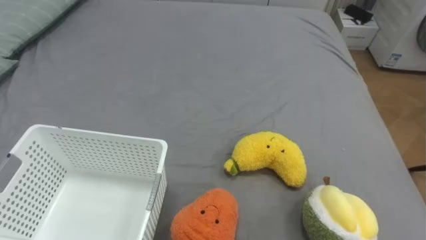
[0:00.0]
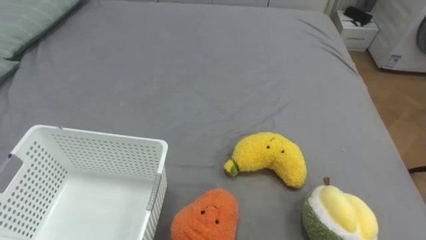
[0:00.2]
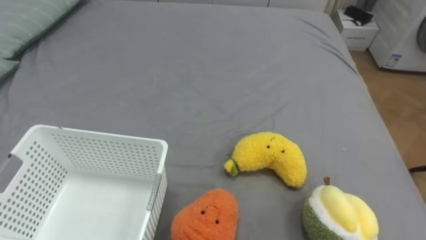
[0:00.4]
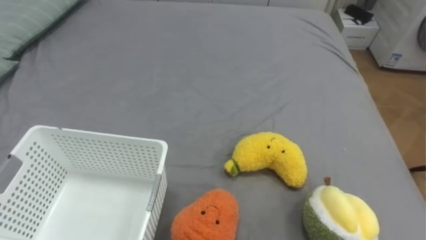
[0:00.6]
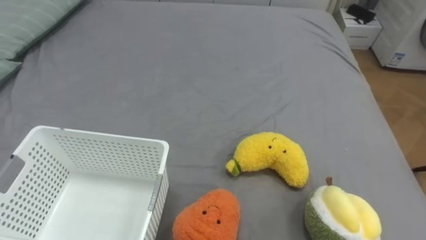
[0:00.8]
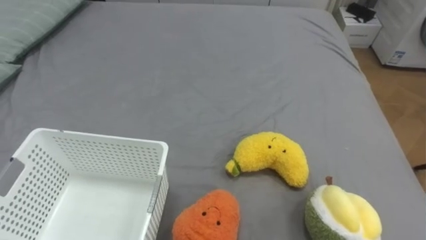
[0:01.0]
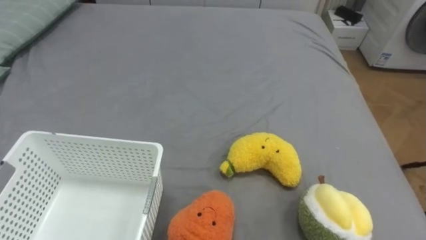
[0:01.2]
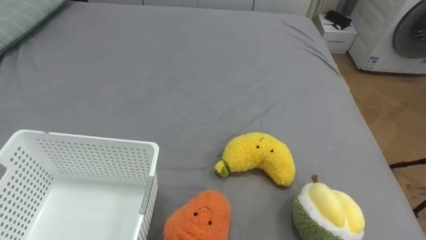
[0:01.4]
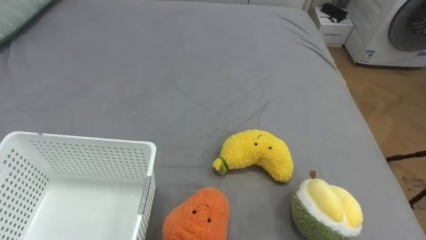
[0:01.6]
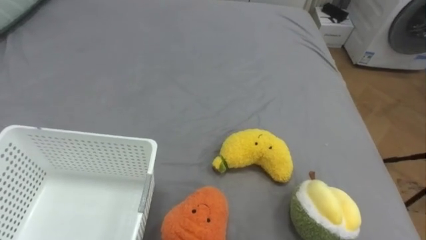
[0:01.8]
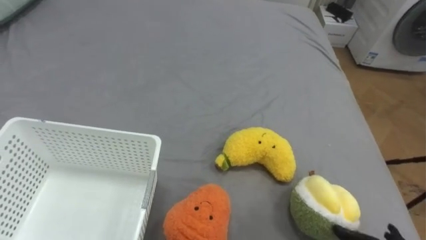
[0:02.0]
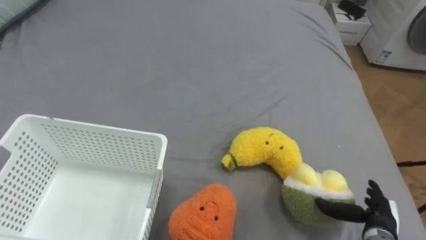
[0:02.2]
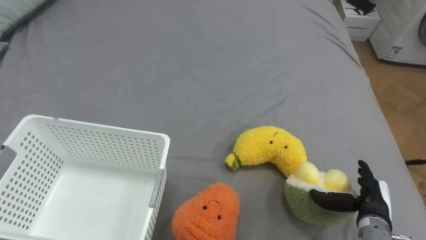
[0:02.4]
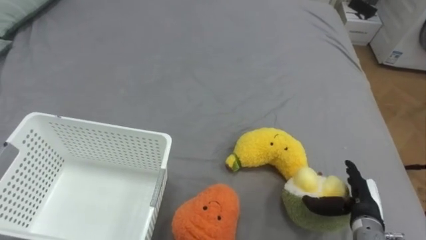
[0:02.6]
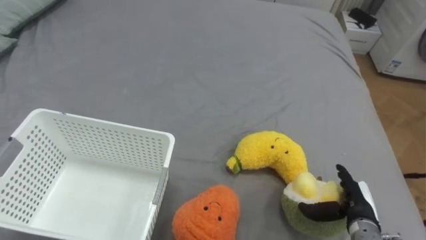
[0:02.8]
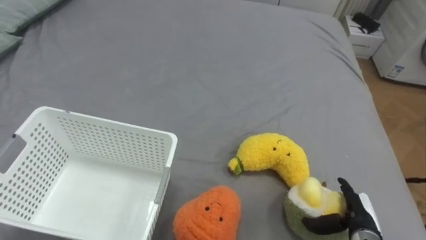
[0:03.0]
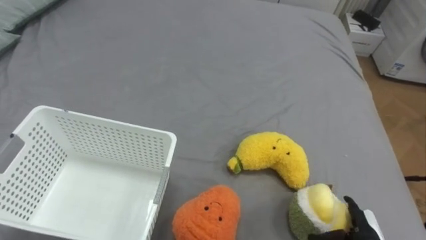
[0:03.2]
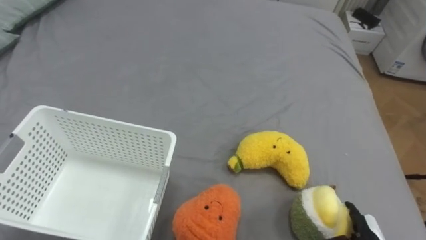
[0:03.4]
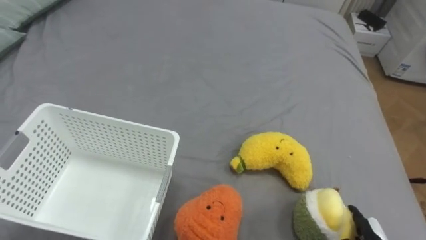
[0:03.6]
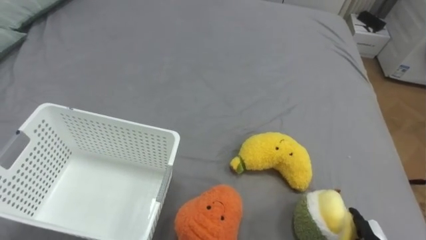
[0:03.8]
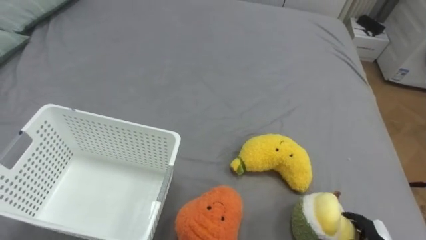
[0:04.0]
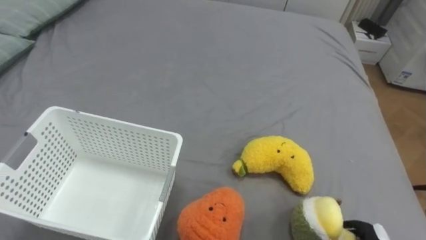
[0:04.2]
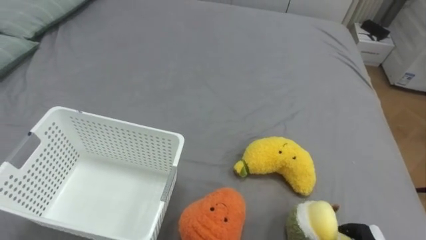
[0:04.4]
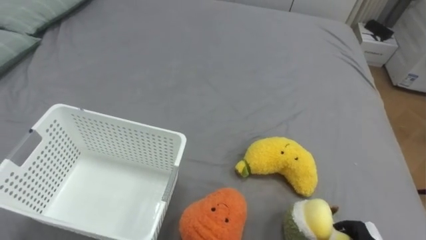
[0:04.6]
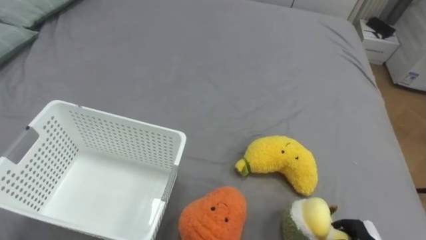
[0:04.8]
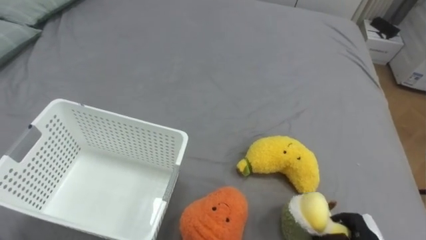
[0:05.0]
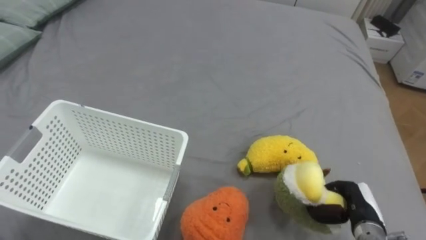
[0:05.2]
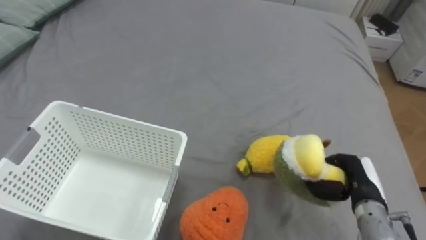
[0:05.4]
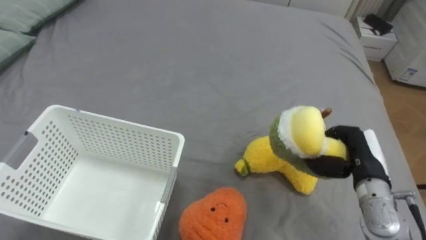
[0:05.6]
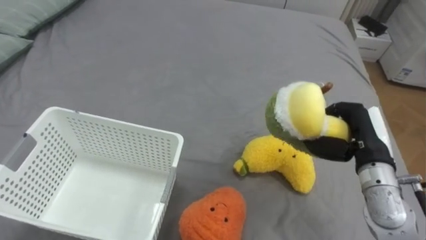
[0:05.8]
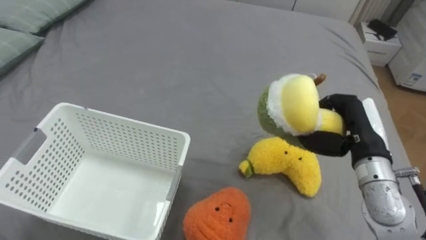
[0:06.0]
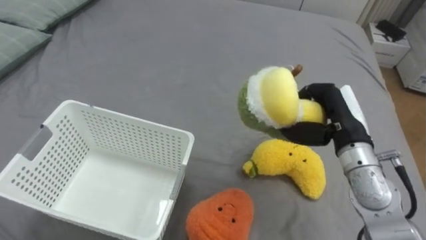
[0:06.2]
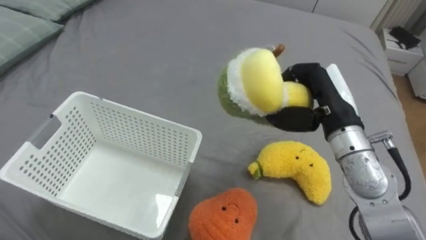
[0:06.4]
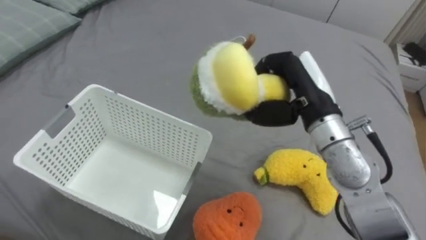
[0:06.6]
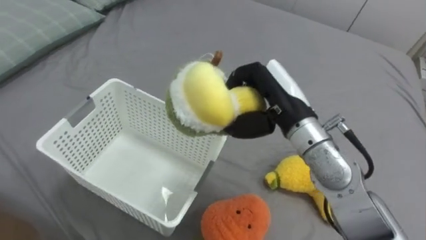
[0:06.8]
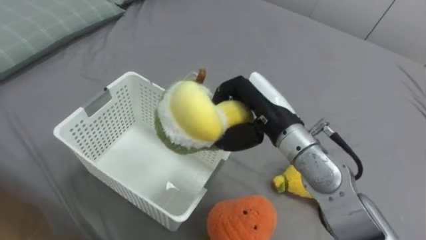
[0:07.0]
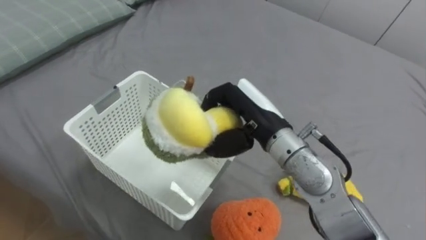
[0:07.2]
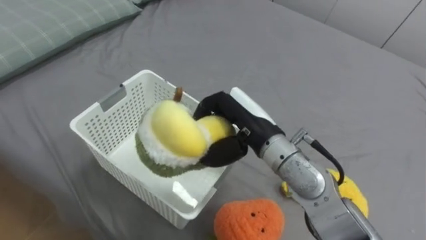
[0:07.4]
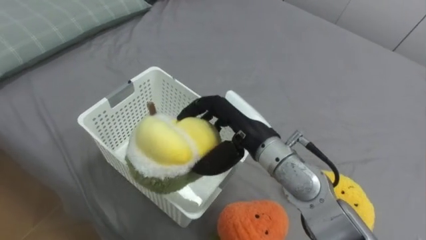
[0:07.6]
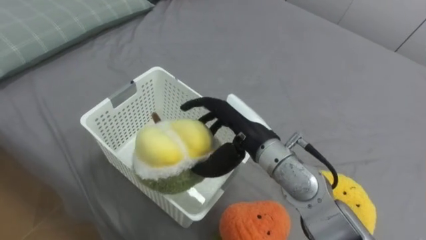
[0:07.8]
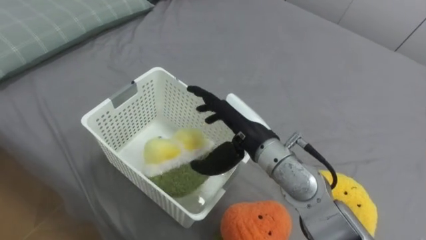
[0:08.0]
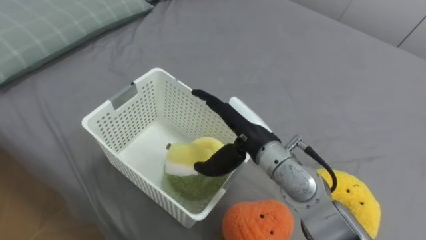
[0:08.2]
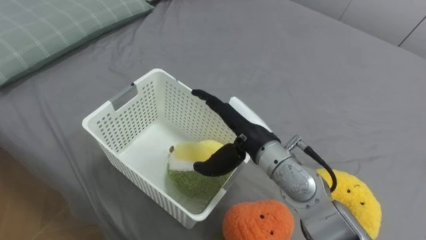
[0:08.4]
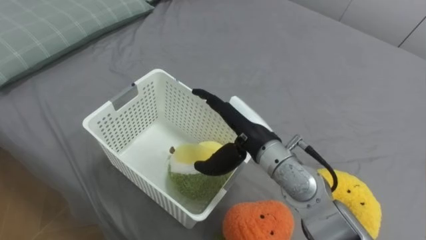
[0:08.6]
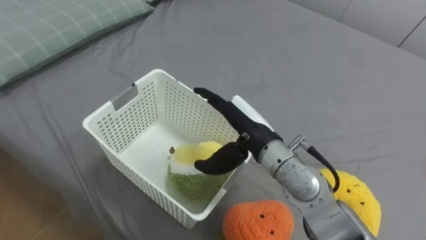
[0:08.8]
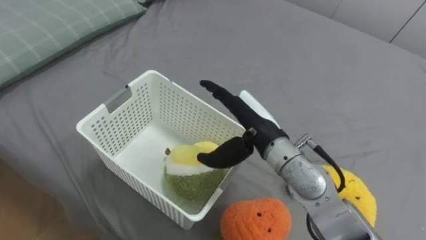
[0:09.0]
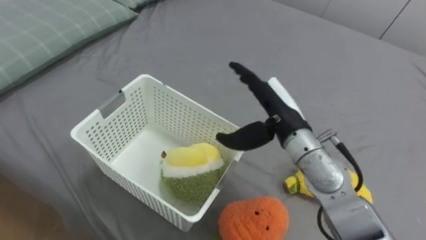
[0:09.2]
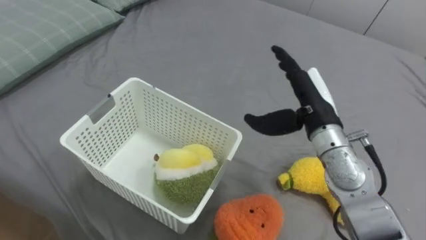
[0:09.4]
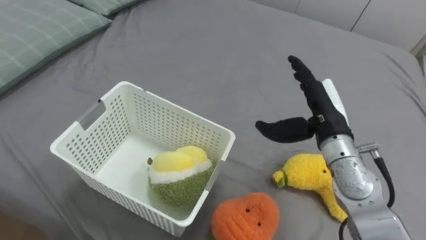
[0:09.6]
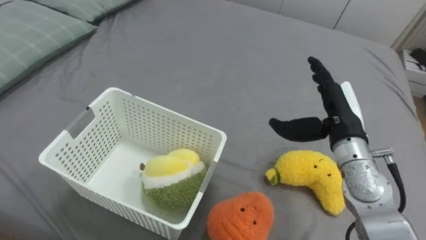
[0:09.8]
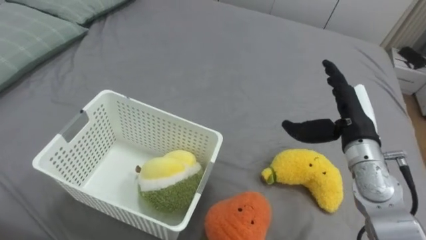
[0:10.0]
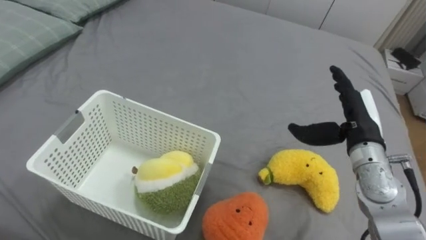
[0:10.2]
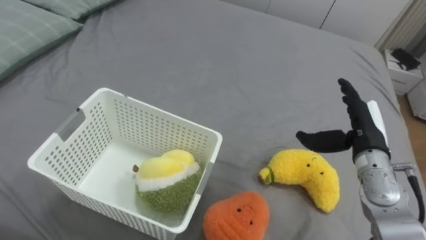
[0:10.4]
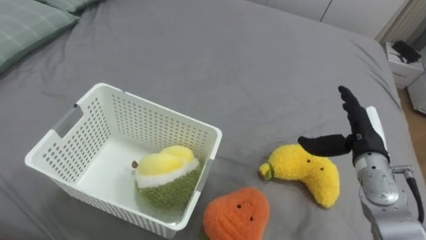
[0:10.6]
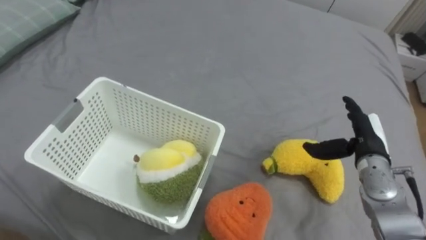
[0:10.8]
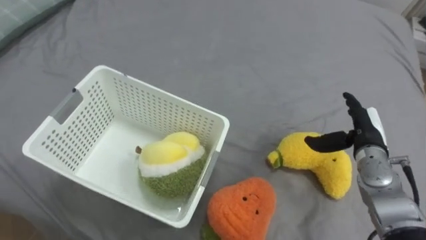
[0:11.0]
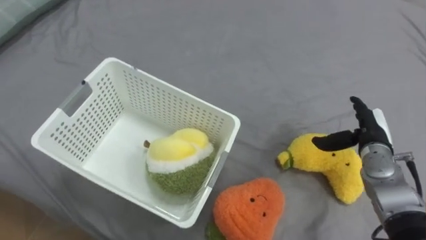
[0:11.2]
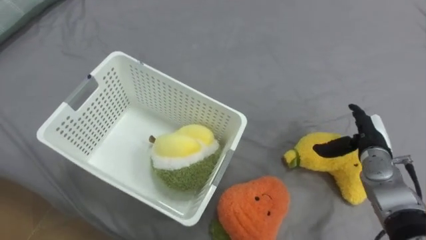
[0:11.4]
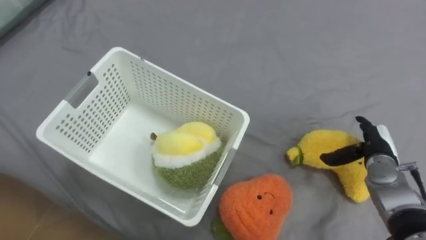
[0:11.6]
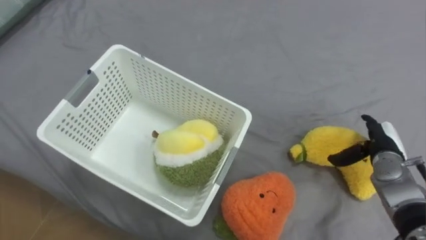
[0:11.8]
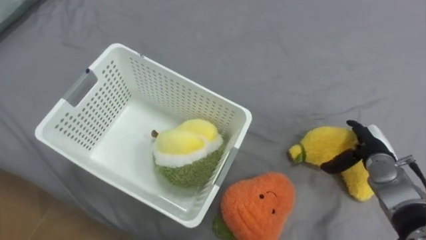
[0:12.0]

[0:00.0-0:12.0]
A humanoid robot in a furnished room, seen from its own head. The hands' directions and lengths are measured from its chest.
Task of the whole recording: Put the toys on the bed into the basket on the left.
6.0 to 7.6 s: The right hand heads to the left, covering approximately 20 cm, and opens.
7.6 to 9.0 s: The right hand opens.
9.0 to 10.4 s: The right hand moves to the right, roughly 20 cm.
10.4 to 12.0 s: The right hand travels downward and to the right by some 10 cm.

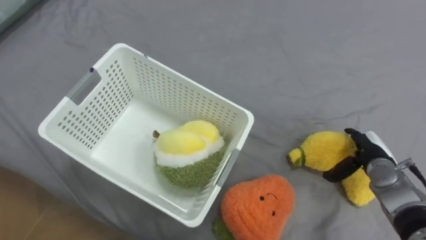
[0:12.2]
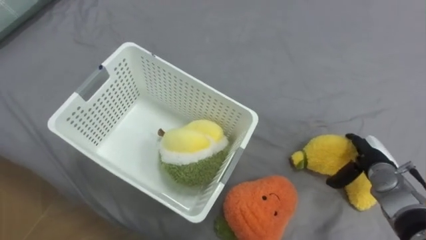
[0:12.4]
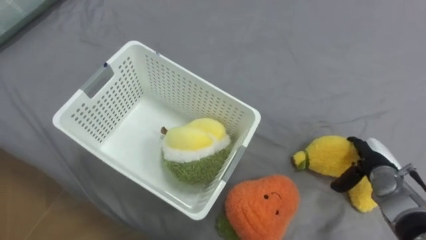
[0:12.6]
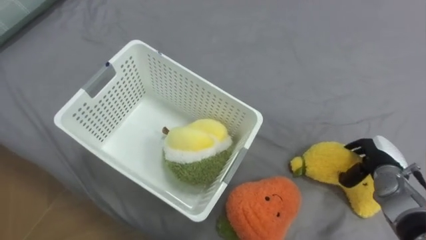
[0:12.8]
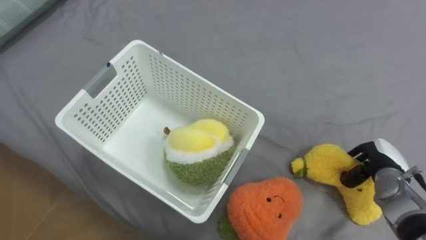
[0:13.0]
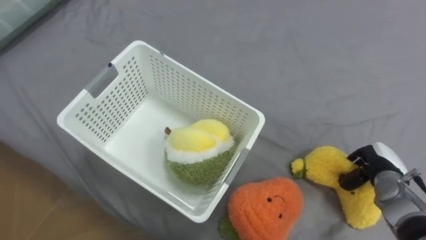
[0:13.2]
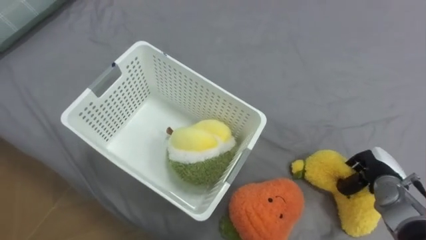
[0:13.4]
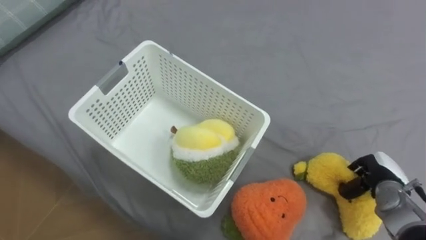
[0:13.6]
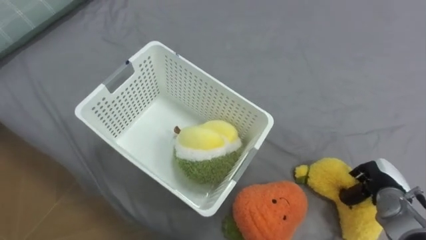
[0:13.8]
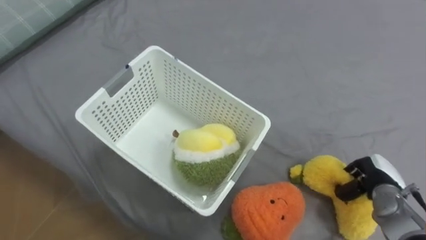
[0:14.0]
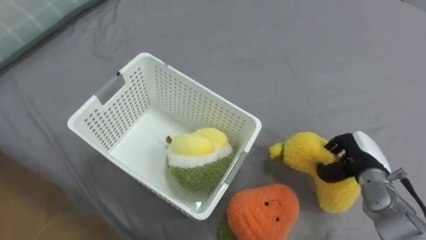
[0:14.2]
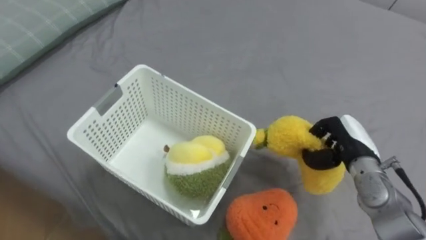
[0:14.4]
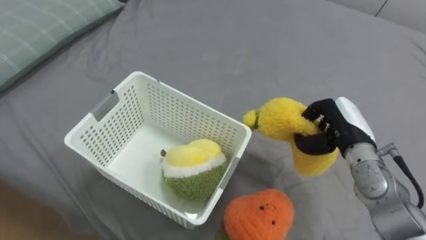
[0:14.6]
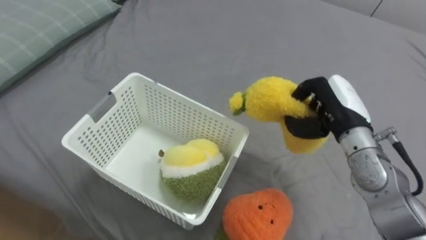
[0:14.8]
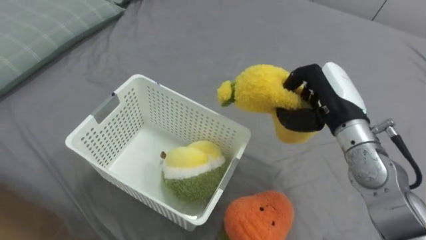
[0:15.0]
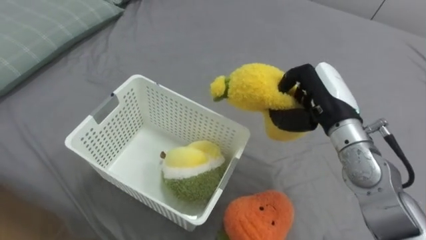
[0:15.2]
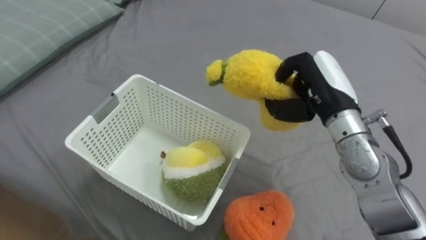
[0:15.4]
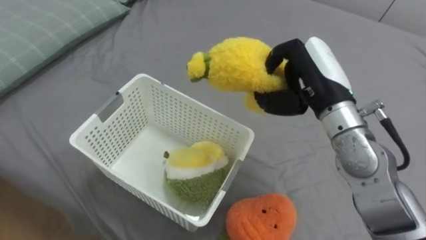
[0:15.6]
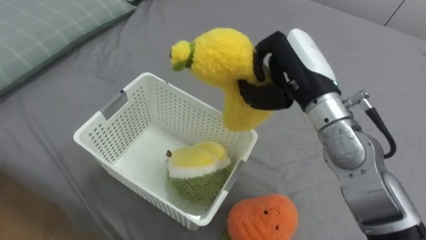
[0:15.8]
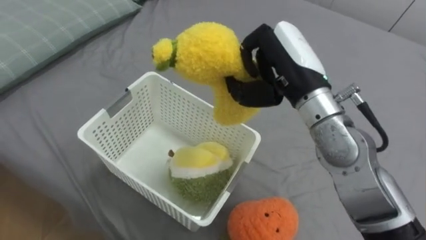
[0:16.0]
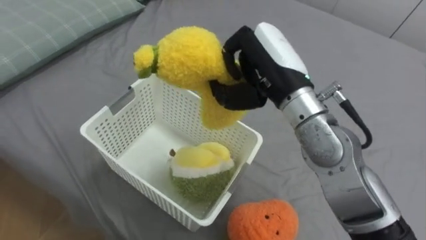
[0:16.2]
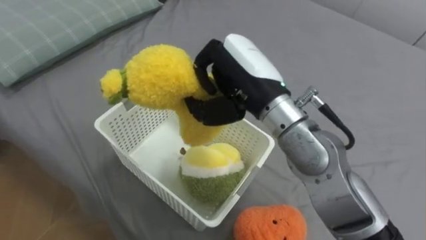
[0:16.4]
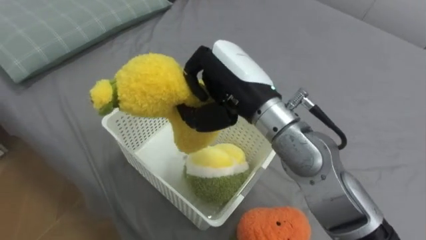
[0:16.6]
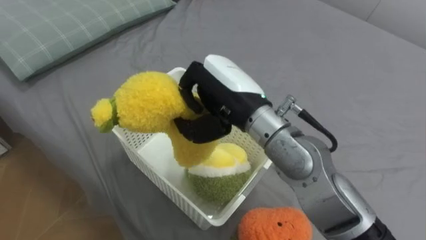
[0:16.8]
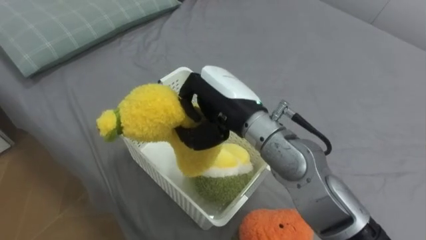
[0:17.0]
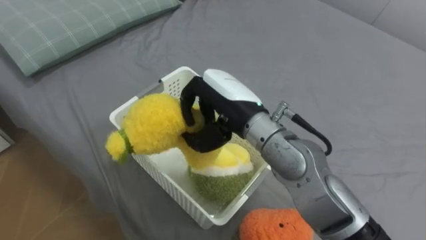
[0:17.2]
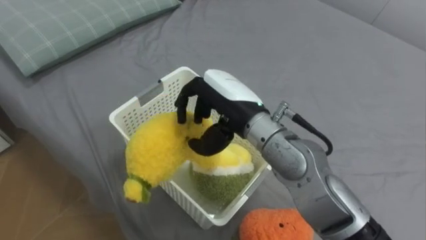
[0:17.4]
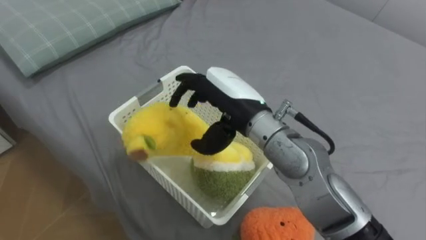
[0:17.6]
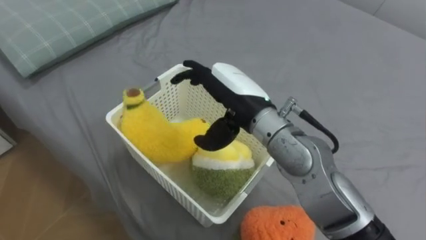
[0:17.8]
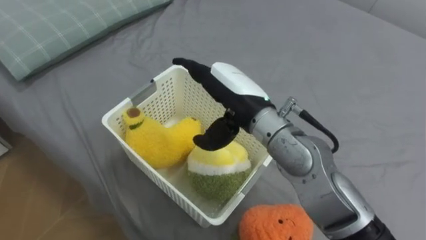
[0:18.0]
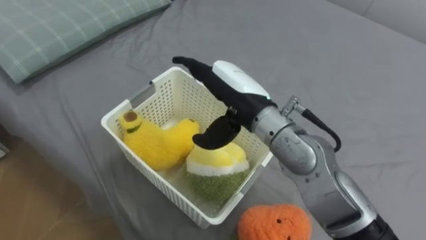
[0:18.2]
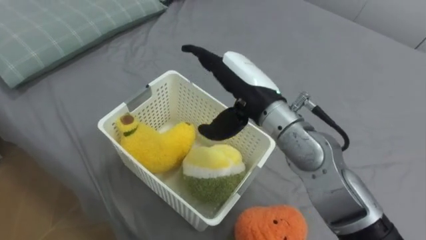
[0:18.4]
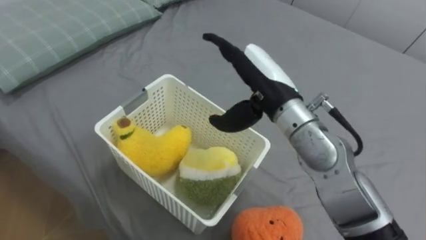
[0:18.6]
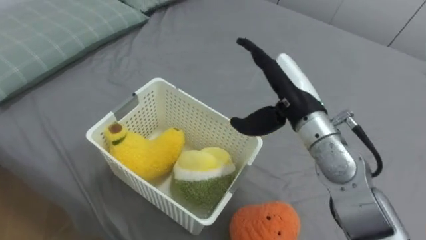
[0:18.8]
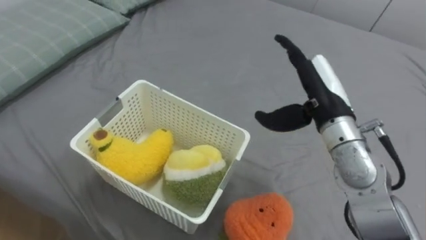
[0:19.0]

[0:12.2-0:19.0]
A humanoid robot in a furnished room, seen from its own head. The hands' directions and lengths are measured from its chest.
Task of the whole recording: Put the toys on the bed into the basket on the left.
12.2 to 13.6 s: The right hand changes place by approximately 5 cm, and closes its fingers.
13.6 to 15.0 s: The right hand is displaced upward and to the left by roughly 25 cm.
15.0 to 16.2 s: The right hand is displaced to the left and upward by approximately 15 cm.
16.2 to 17.6 s: The right hand moves to the left and downward, some 10 cm, and opens its fingers.
17.6 to 19.0 s: The right hand is displaced to the right by some 15 cm.
